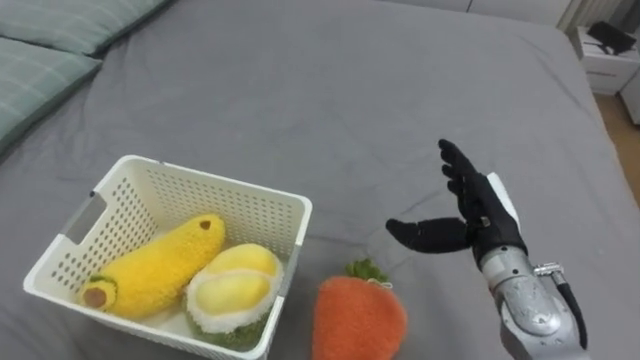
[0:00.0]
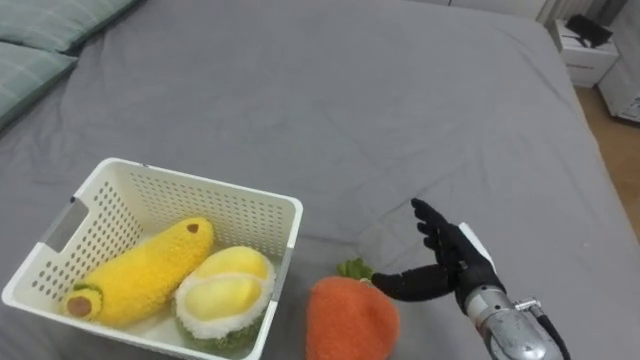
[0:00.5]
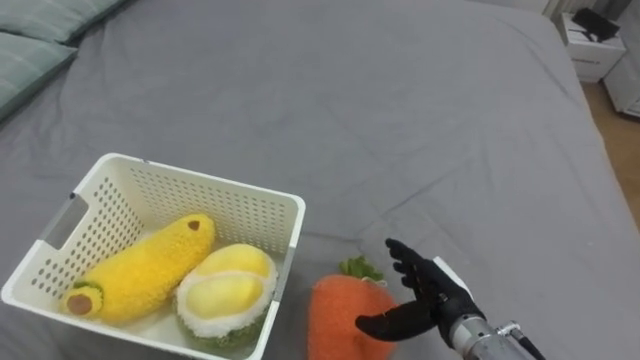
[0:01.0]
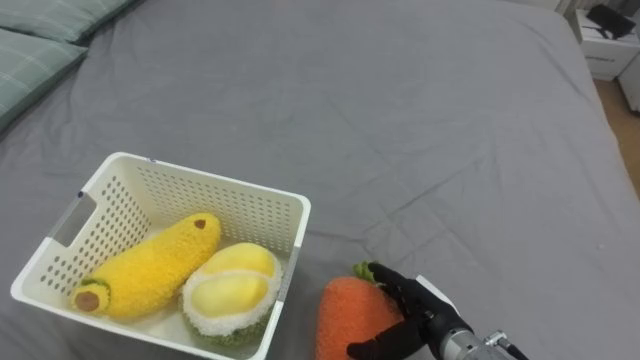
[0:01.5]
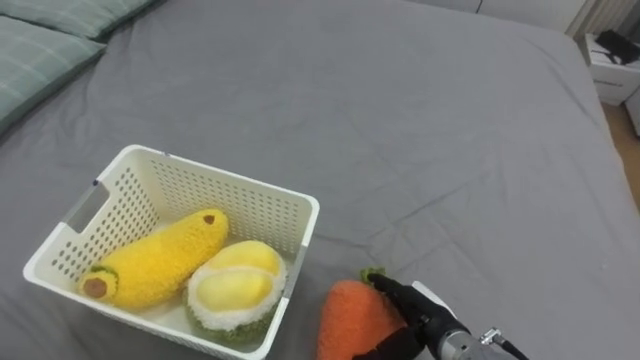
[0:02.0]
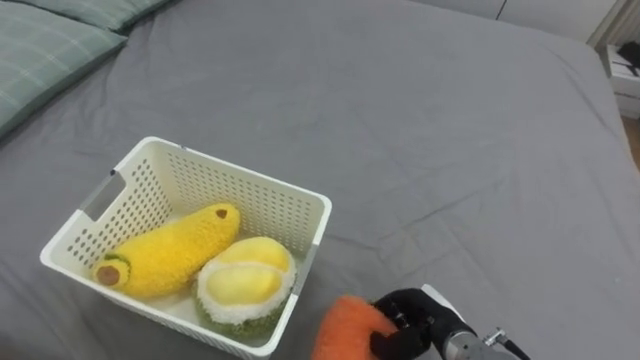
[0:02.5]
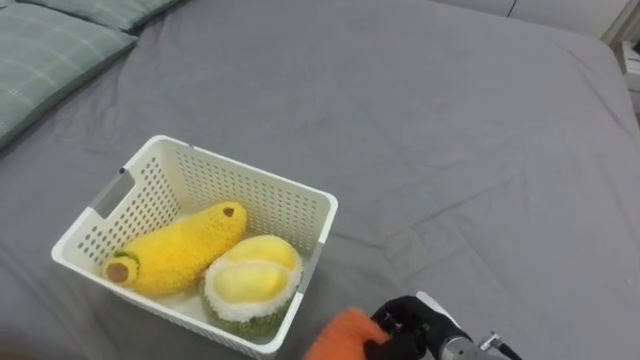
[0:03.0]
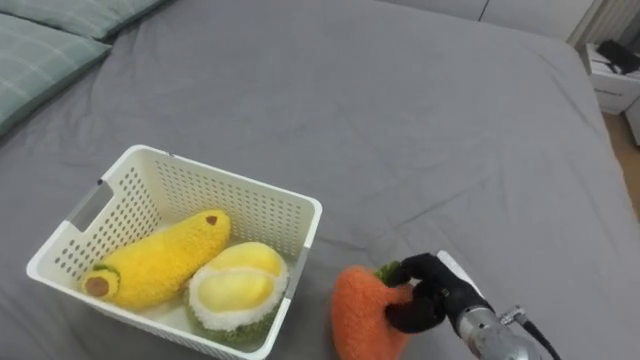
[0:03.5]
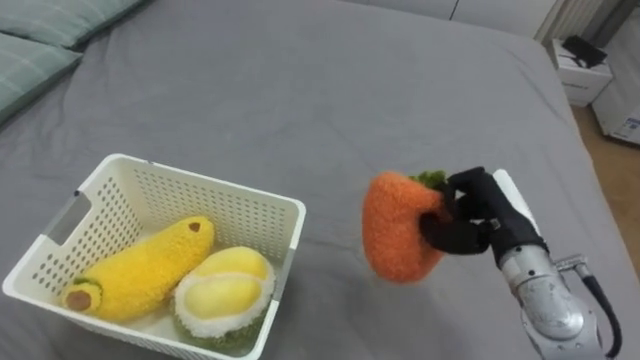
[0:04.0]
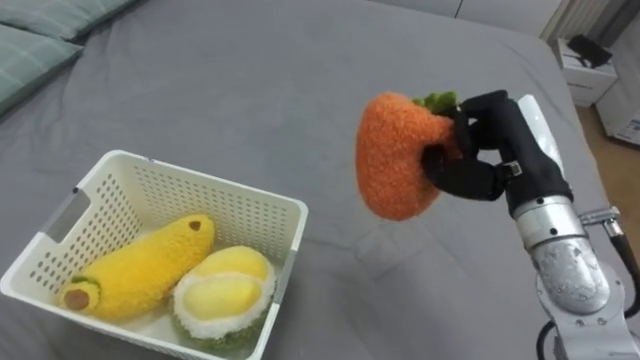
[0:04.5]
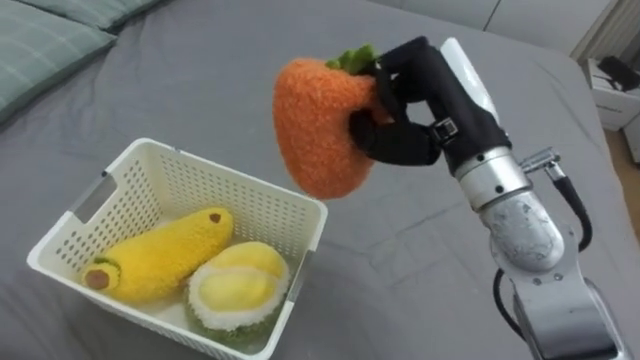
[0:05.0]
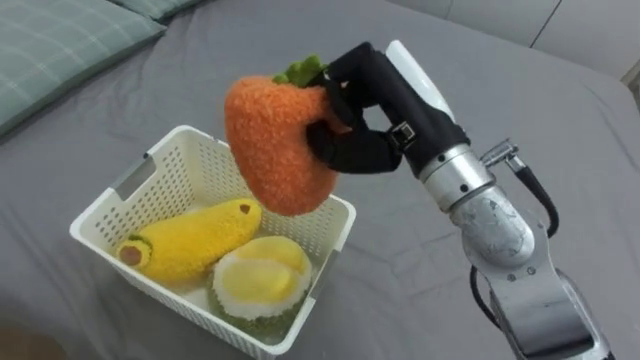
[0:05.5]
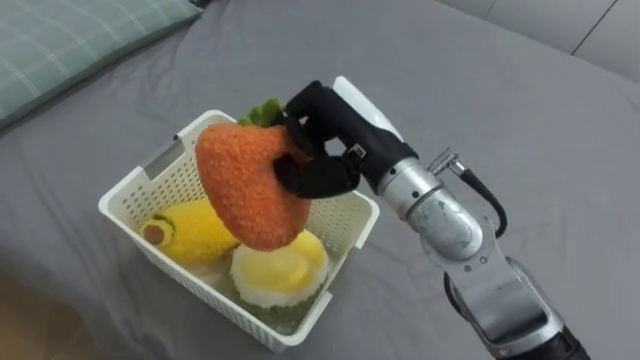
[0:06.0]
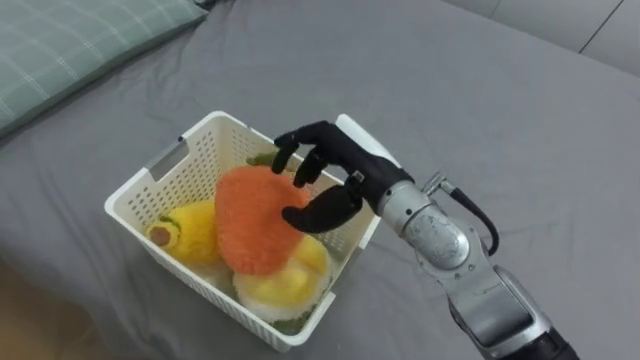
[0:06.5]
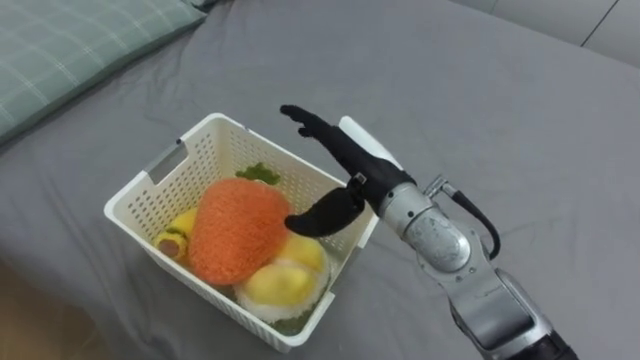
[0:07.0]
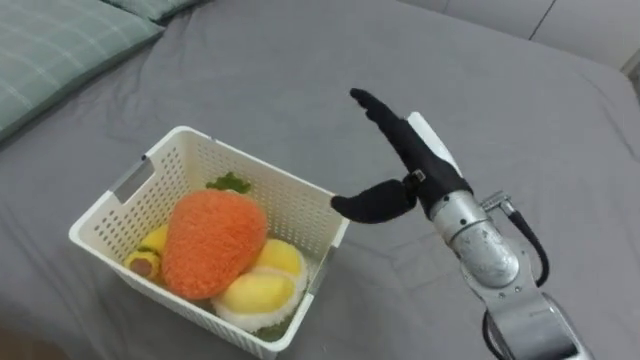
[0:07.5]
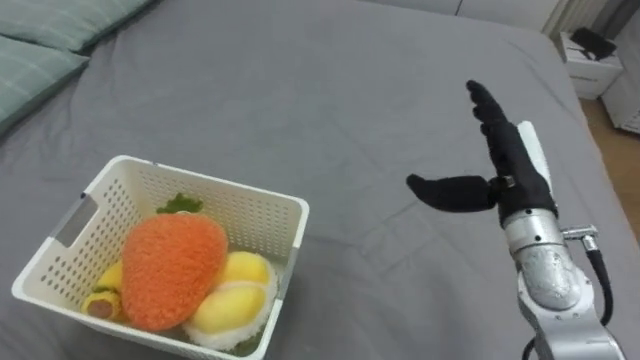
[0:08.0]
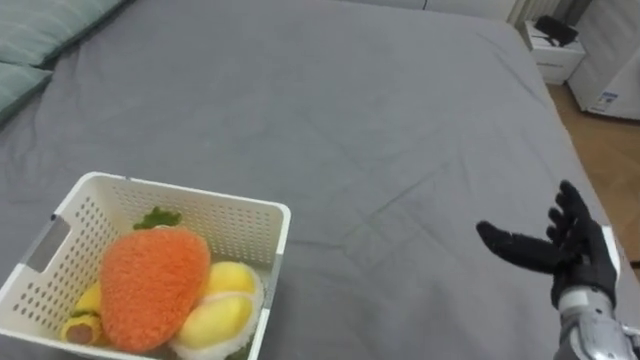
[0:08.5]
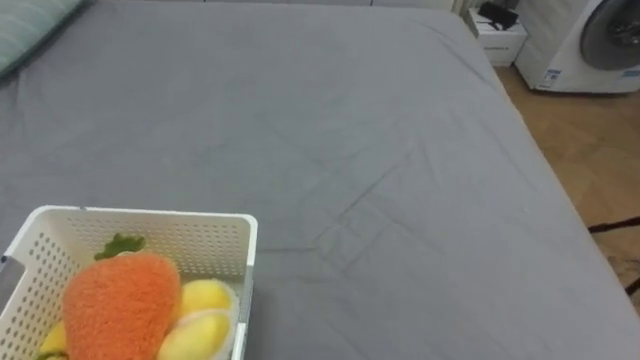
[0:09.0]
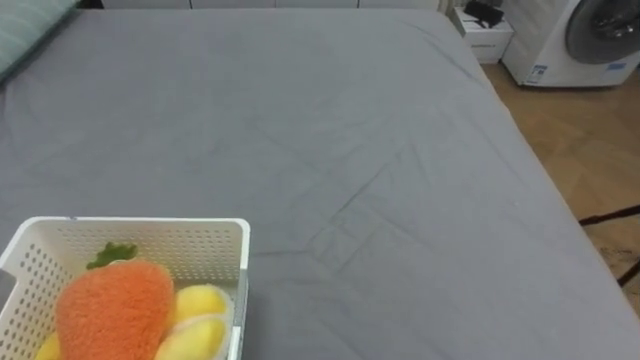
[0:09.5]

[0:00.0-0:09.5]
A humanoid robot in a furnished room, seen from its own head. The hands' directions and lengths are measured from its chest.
Task of the whole recording: Put the toys on the bed into the basket on the left.
0:00.0 to 0:02.0: The right hand shifts about 15 cm downward, backward and to the left.
0:02.0 to 0:04.0: The right hand moves upward, to the right and forward, approximately 15 cm, and closes.
0:04.0 to 0:05.5: The right hand goes approximately 20 cm upward and to the left.
0:05.5 to 0:07.5: The right hand goes about 10 cm downward, and opens its fingers.

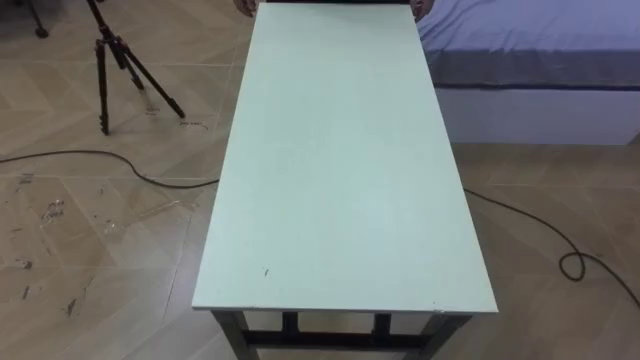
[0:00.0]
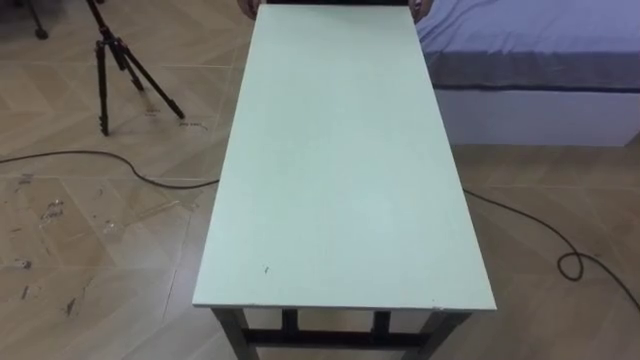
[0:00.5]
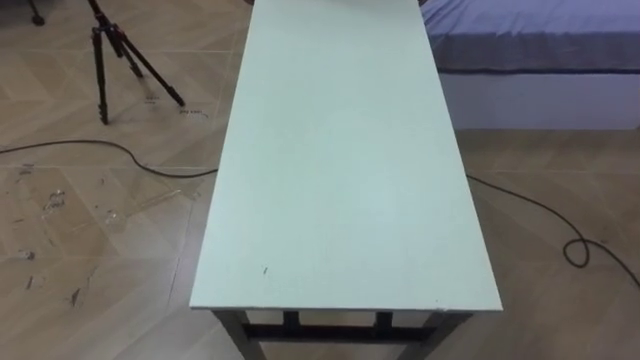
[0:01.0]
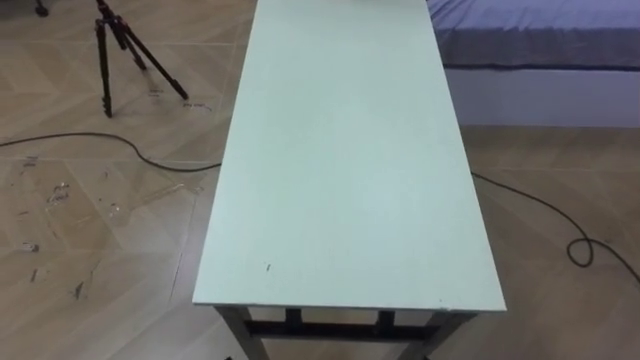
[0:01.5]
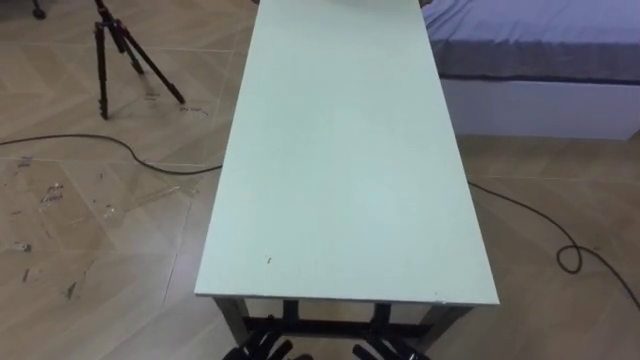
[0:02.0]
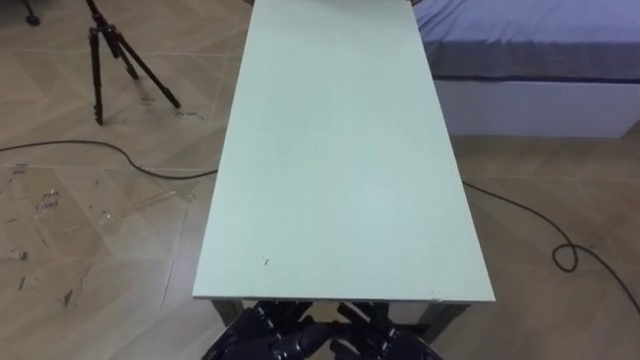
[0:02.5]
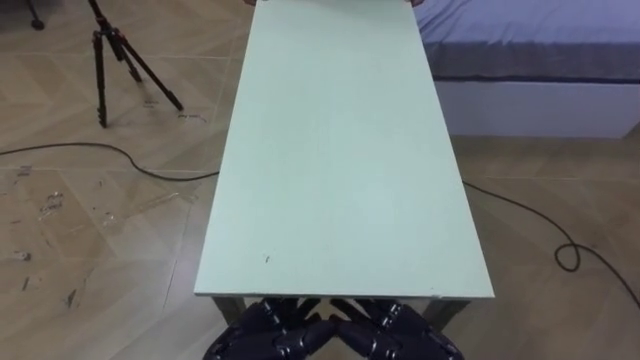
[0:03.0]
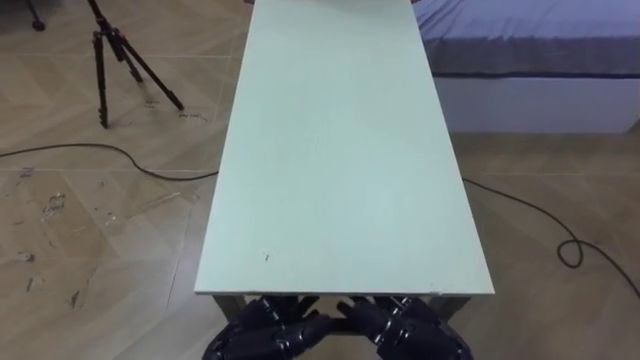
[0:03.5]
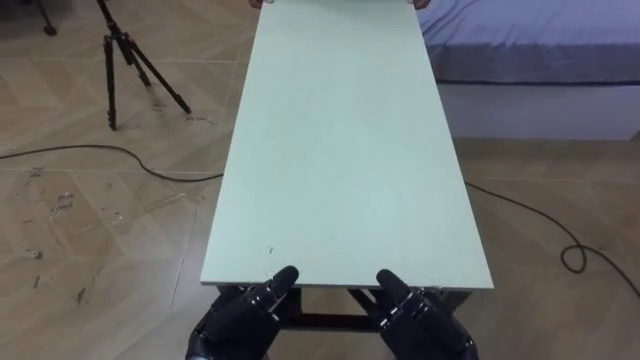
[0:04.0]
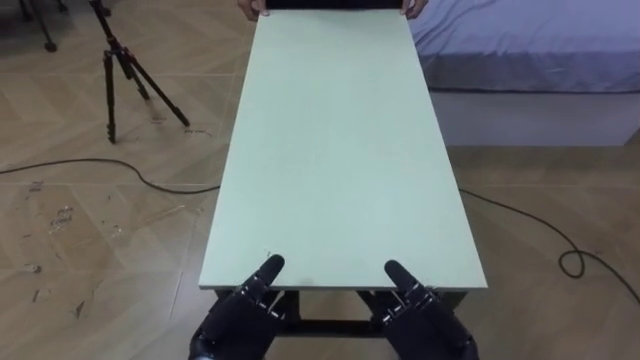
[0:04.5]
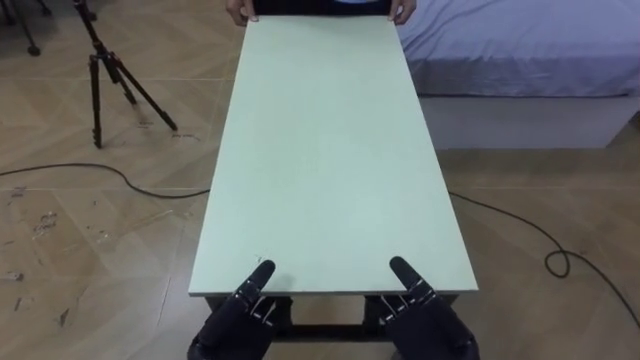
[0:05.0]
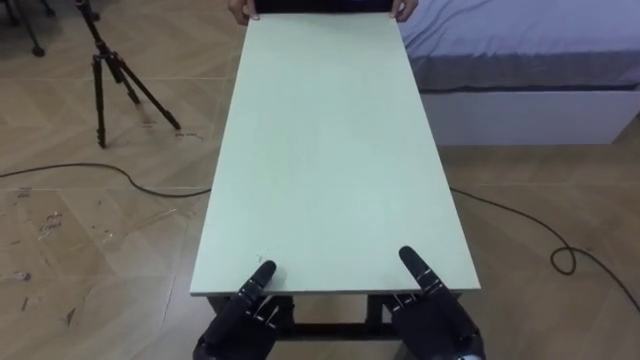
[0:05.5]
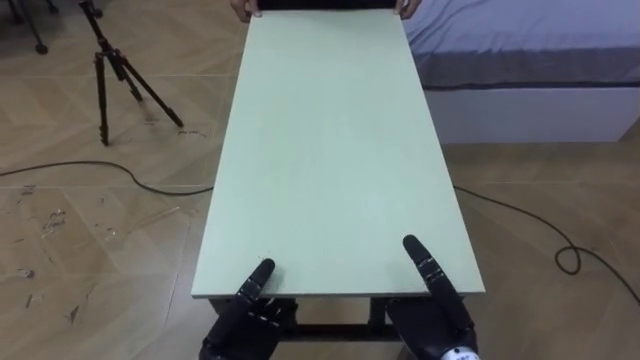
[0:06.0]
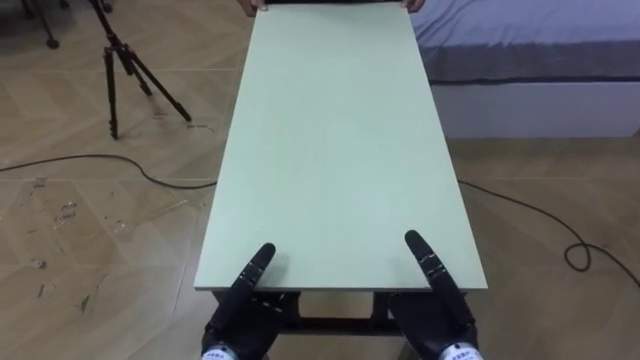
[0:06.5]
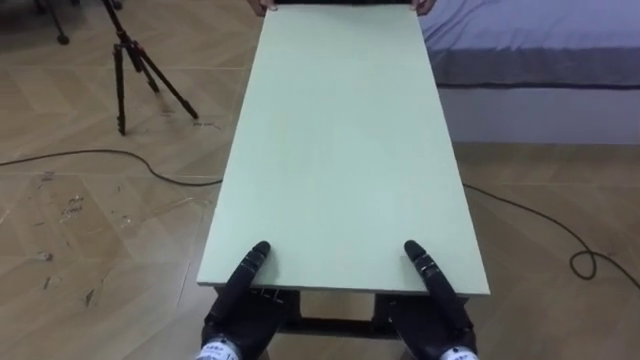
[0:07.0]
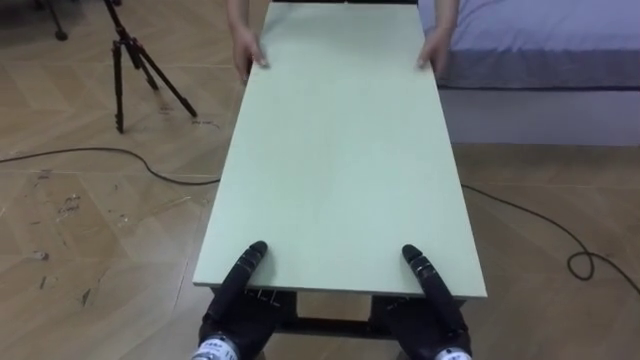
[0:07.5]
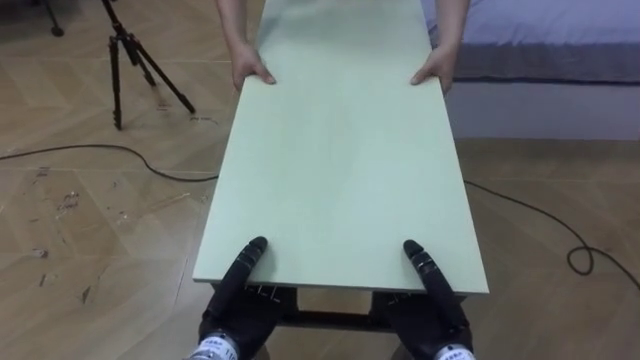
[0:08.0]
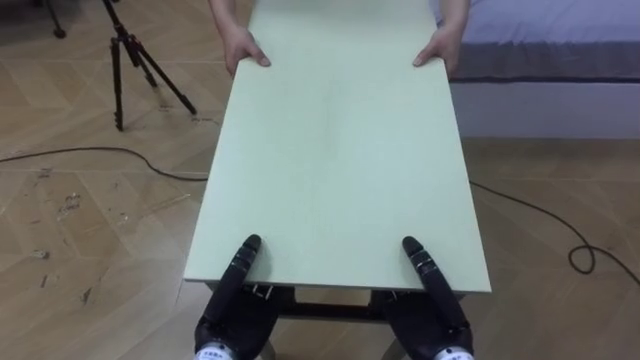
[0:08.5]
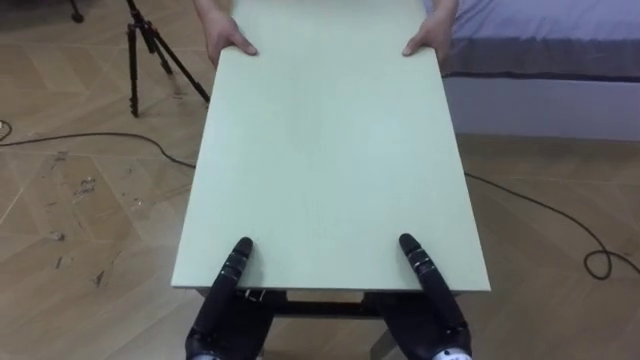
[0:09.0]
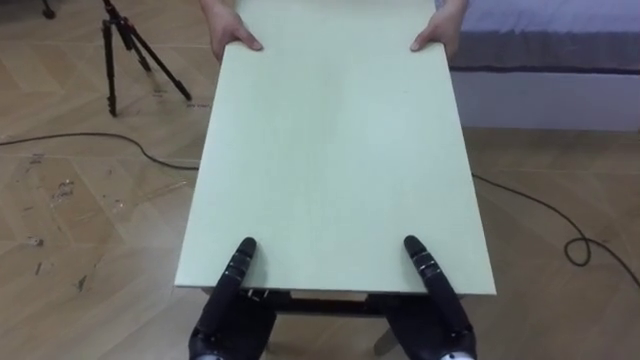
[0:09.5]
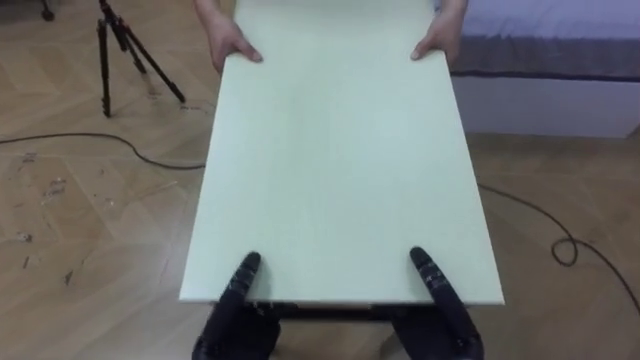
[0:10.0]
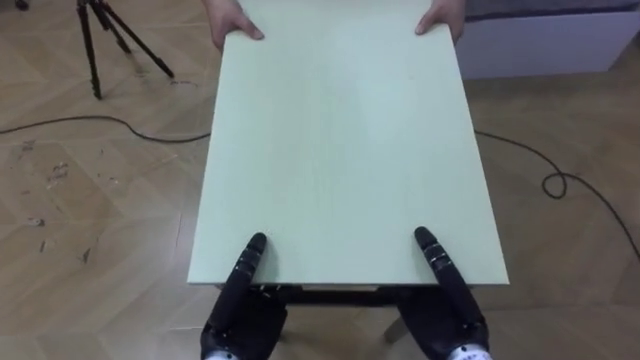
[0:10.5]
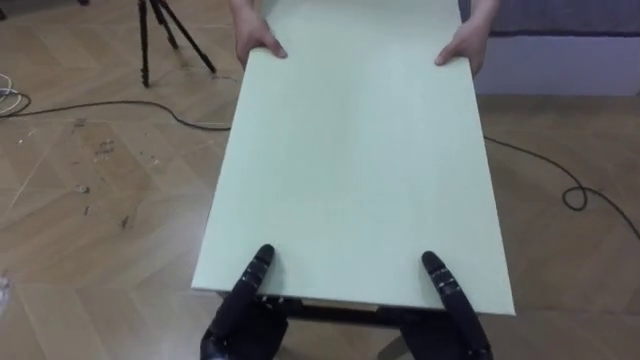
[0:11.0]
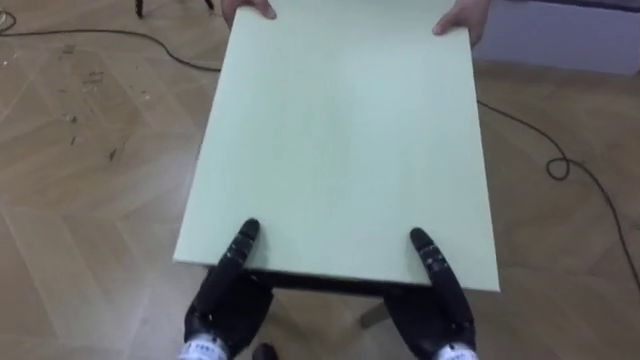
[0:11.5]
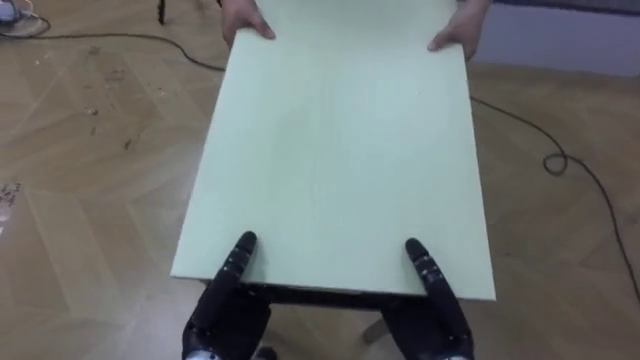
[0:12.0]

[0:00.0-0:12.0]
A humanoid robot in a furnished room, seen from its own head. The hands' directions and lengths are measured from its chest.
Task of the whole recording: Move the table to the back left with someone.
0:04.0 to 0:06.0: The left hand is displaced downward by roughly 5 cm.
0:06.0 to 0:08.0: The left hand closes up. The right hand closes up.
